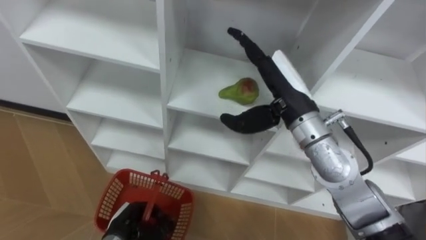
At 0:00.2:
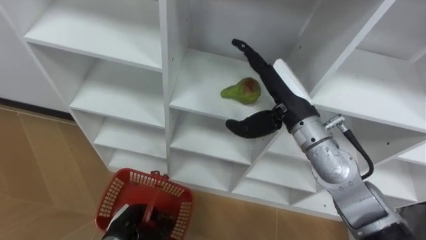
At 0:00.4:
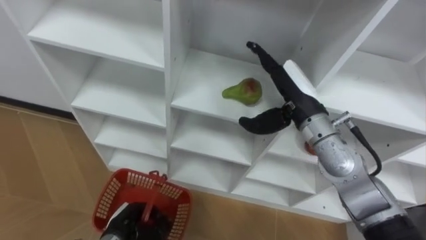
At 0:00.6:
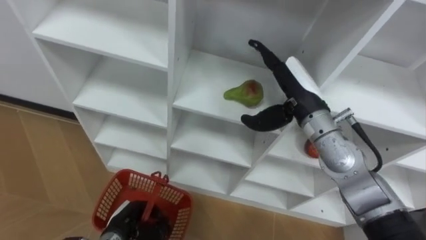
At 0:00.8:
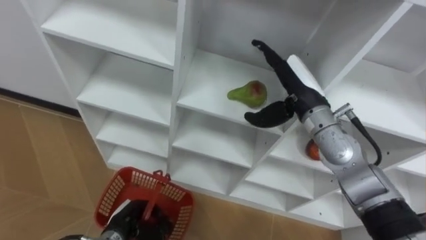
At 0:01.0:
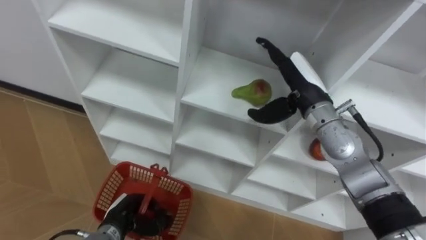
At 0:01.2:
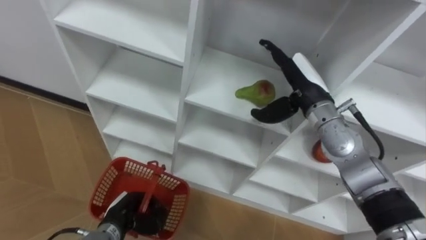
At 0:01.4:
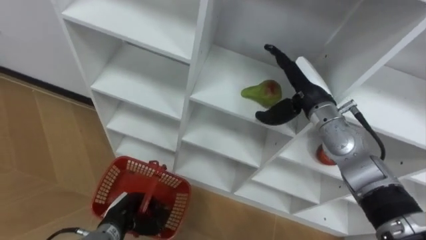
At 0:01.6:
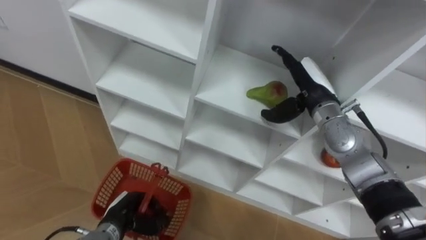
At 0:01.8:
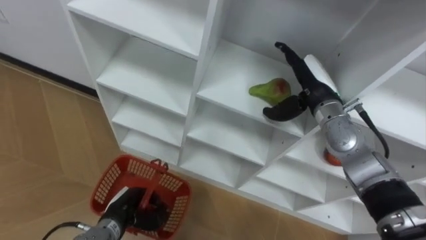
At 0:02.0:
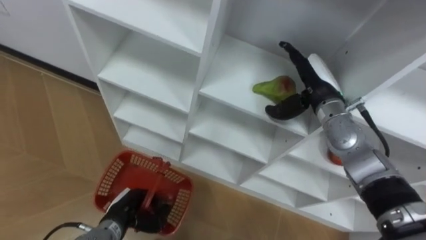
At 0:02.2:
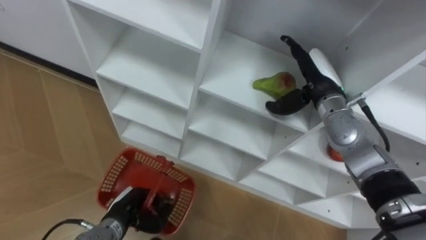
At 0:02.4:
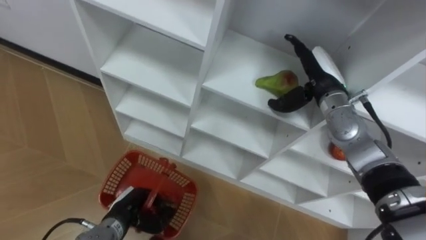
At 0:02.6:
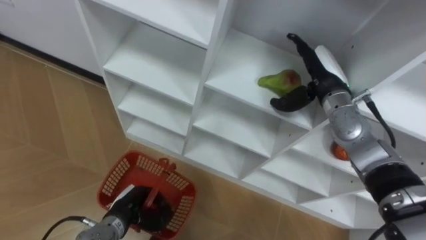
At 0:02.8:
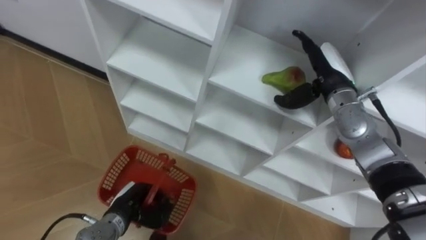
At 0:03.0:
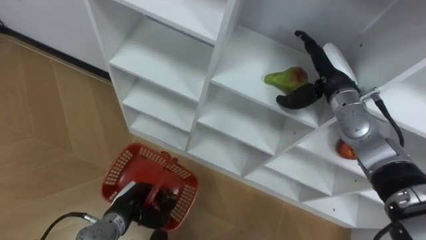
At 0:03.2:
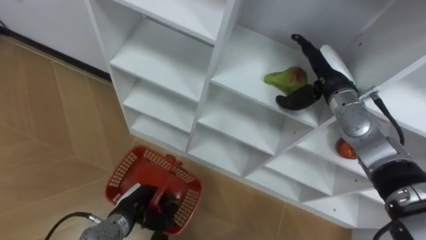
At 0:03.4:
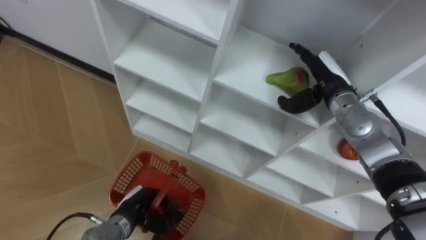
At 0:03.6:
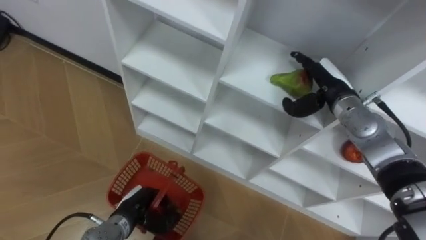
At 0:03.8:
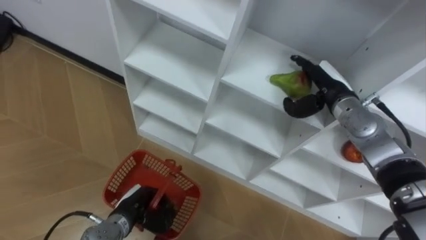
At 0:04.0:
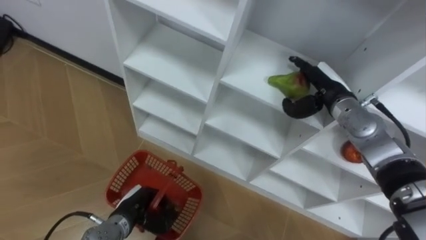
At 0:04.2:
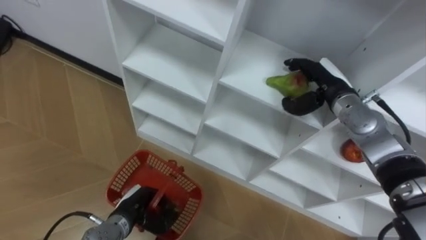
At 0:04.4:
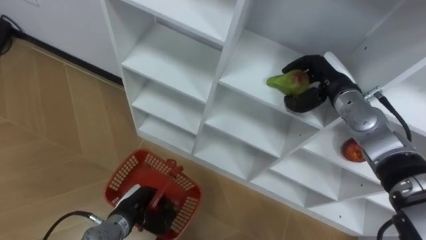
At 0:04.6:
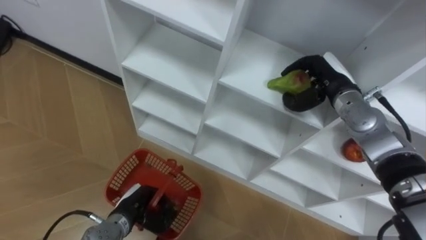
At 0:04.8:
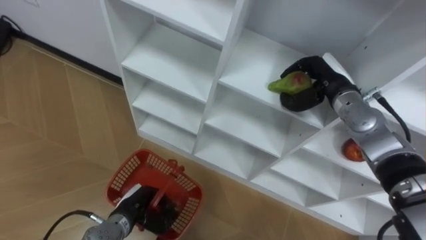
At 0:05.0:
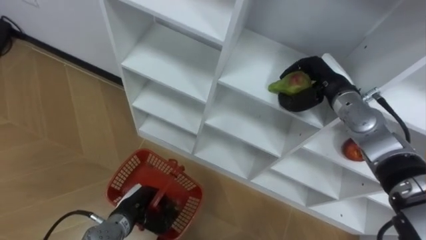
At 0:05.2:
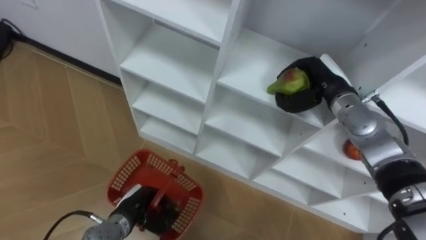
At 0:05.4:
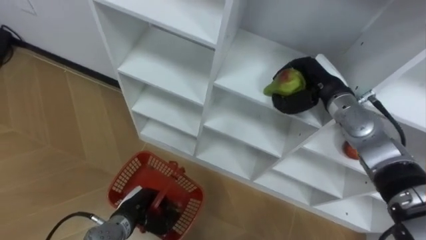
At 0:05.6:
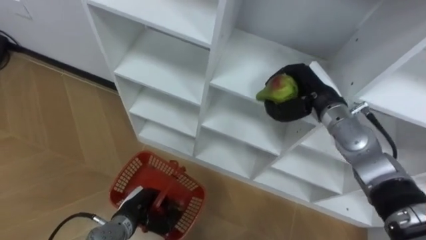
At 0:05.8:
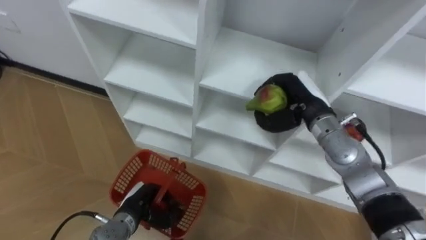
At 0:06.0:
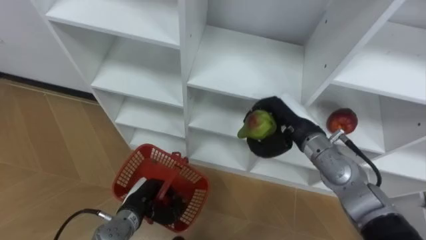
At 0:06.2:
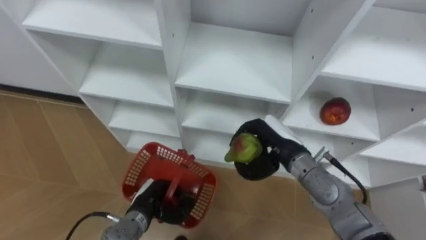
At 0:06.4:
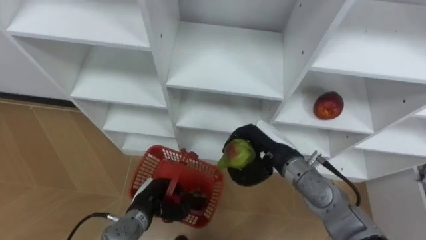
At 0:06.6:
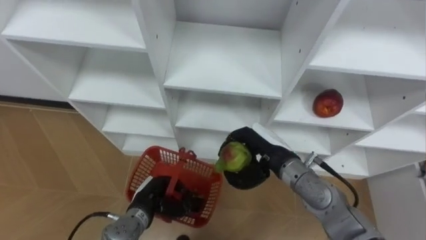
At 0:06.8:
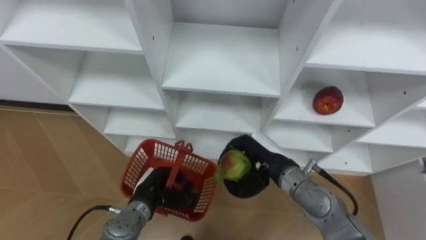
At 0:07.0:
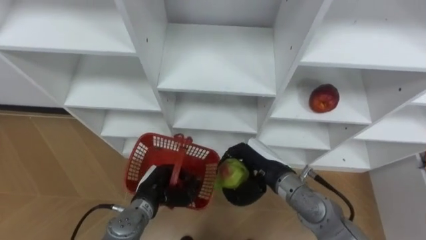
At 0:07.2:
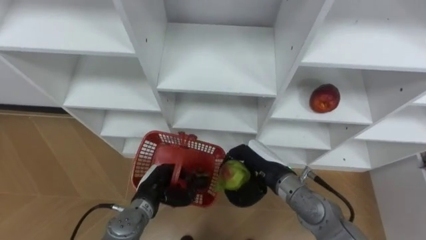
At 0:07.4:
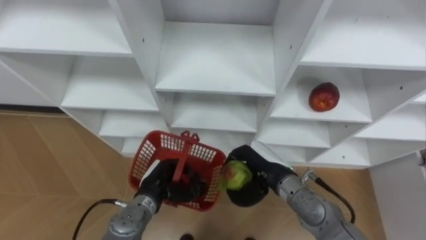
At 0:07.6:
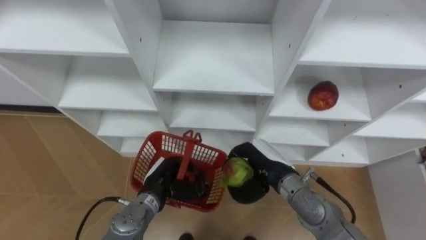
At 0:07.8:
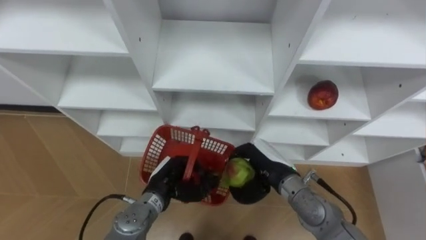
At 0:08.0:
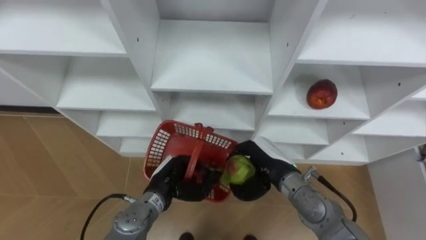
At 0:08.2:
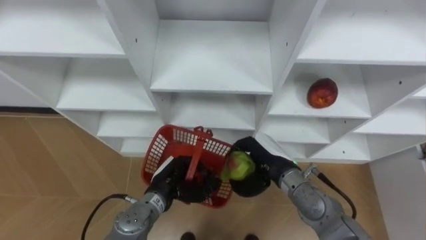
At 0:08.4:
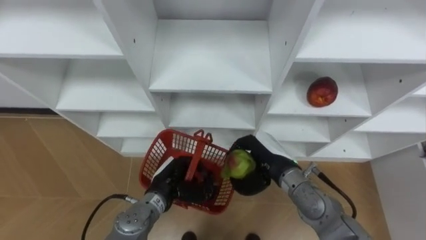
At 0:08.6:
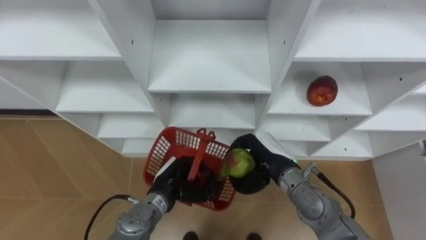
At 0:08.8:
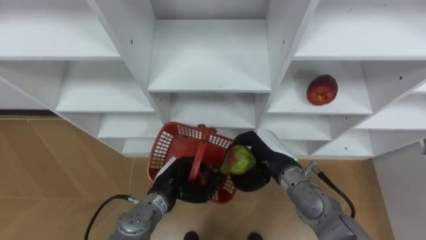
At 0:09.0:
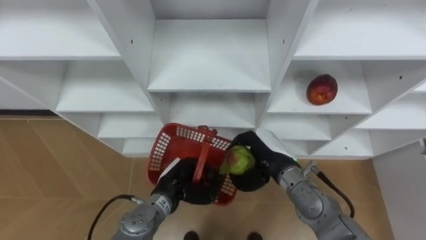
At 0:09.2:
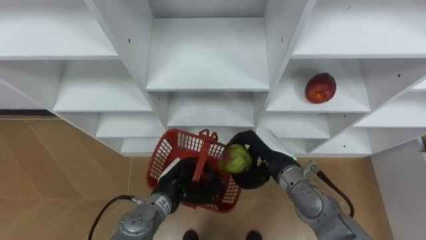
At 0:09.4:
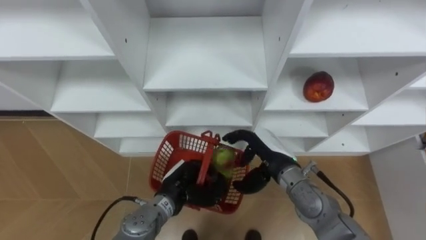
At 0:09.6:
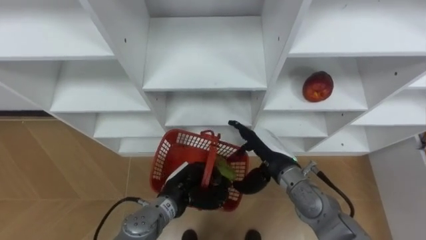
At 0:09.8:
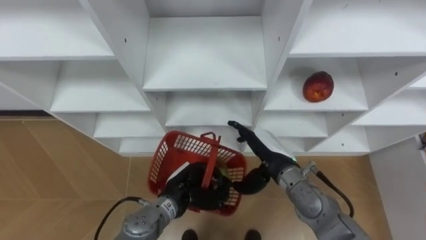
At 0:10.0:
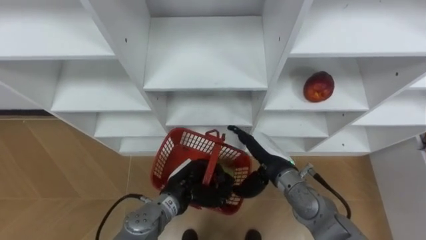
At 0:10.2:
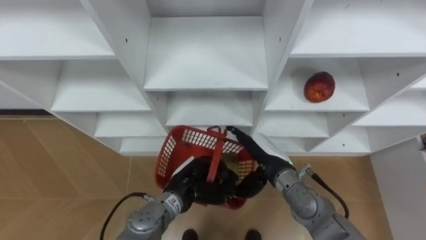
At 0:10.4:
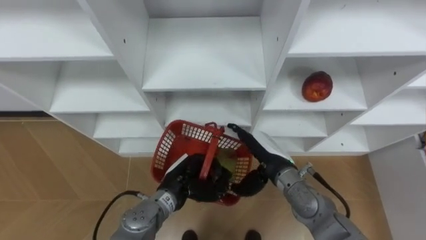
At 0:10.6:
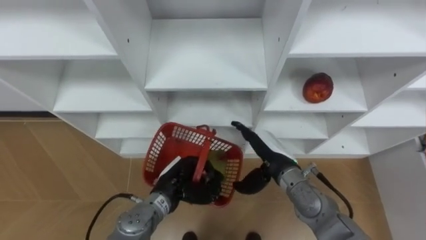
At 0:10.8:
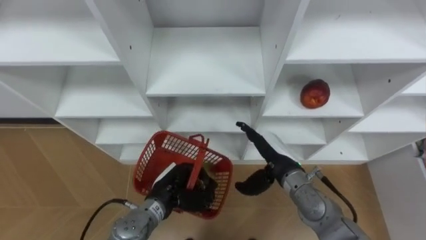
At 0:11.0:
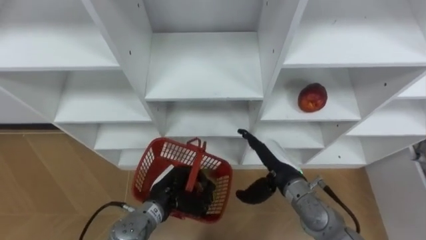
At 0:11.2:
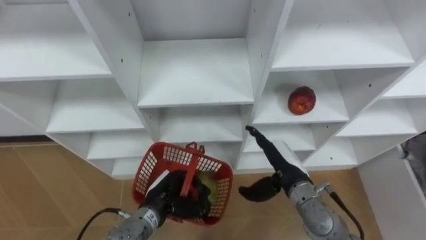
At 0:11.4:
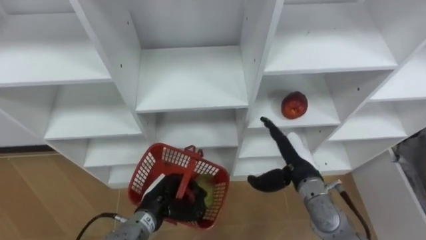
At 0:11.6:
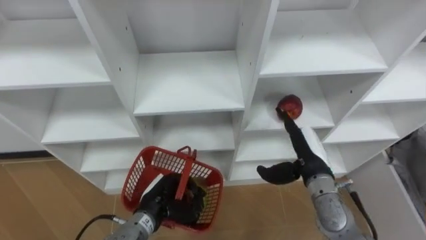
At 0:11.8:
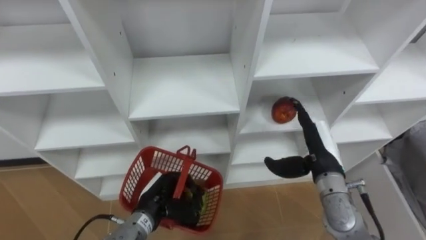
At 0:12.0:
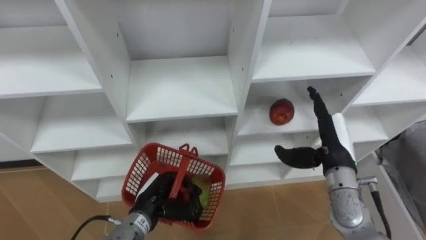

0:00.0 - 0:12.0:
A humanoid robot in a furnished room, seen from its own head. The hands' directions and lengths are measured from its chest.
Task of the whole recording: Hold the basket and collect the fruits from 3 different cells of the closet into it.
0:00.0 - 0:01.6: The right hand moves to the right, downward and forward, about 10 cm.
0:03.0 - 0:04.4: The right hand closes up.
0:04.4 - 0:06.0: The right hand heads to the left and backward, covering roughly 10 cm.
0:06.0 - 0:07.6: The right hand heads backward and downward, covering about 10 cm; the left hand ends up roughly 5 cm from where it was.
0:09.0 - 0:10.4: The right hand opens.
0:10.4 - 0:12.0: The left hand goes roughly 5 cm to the left, while the right hand shifts roughly 10 cm to the right.

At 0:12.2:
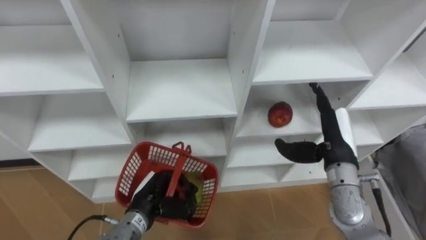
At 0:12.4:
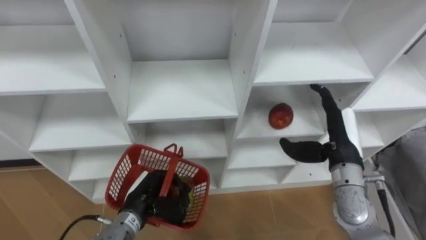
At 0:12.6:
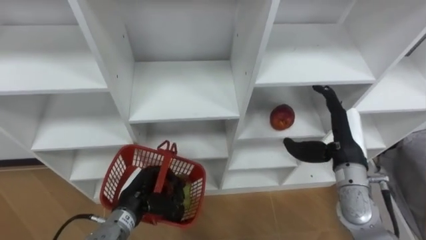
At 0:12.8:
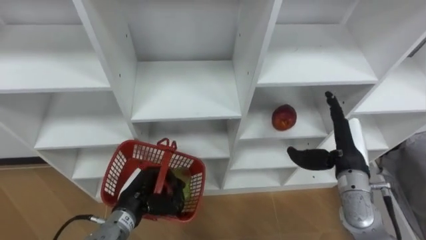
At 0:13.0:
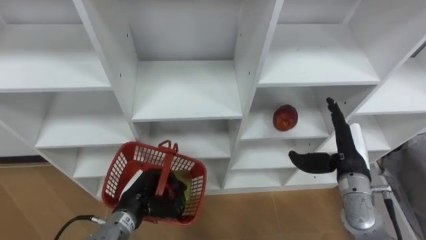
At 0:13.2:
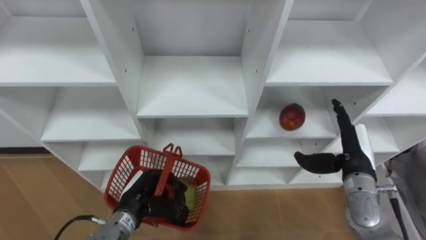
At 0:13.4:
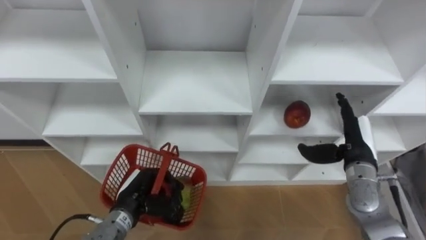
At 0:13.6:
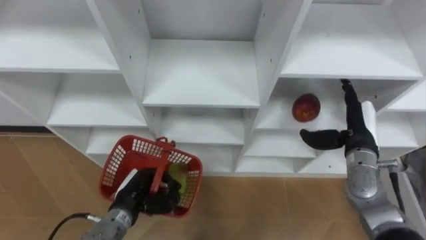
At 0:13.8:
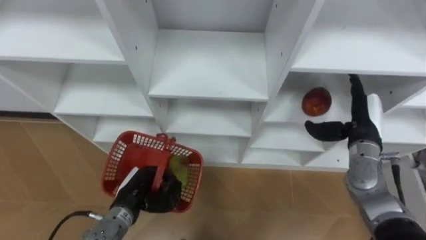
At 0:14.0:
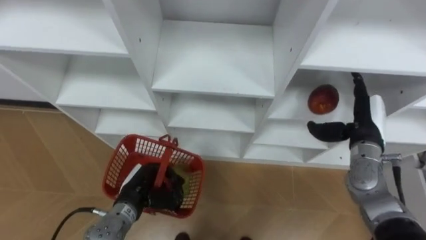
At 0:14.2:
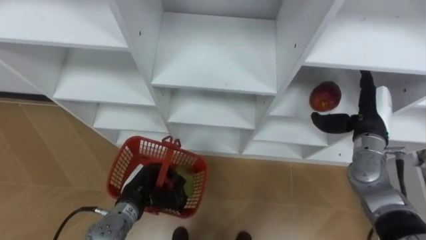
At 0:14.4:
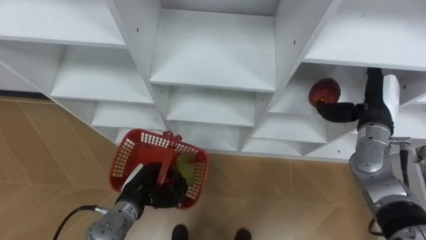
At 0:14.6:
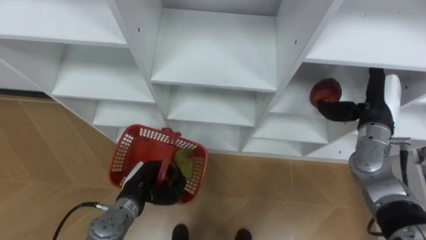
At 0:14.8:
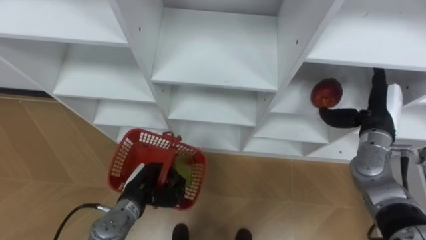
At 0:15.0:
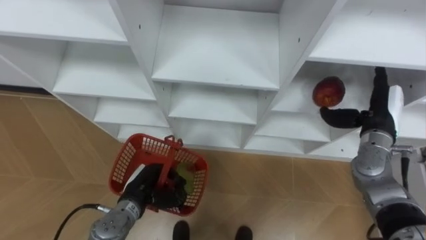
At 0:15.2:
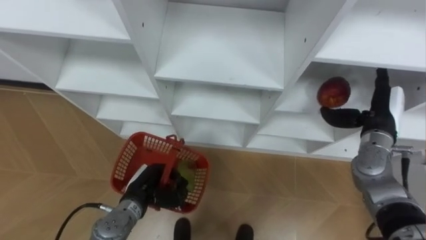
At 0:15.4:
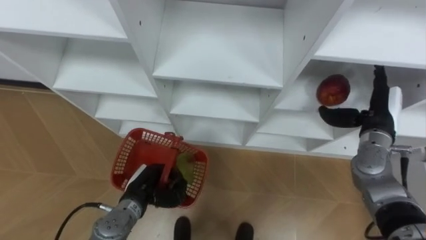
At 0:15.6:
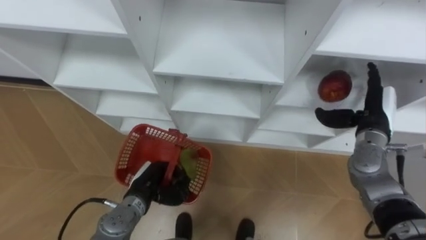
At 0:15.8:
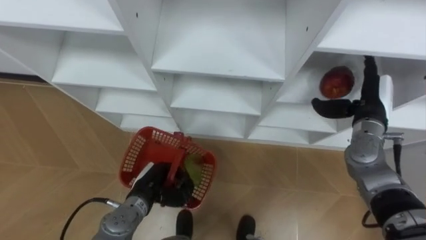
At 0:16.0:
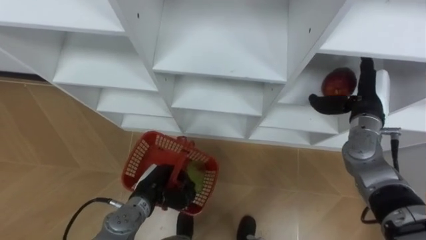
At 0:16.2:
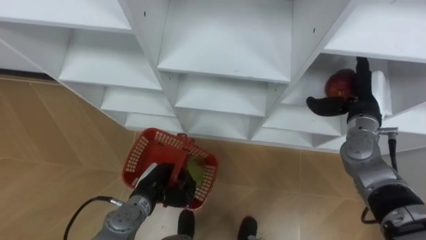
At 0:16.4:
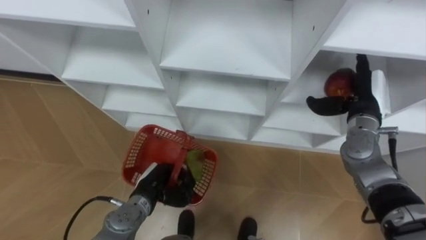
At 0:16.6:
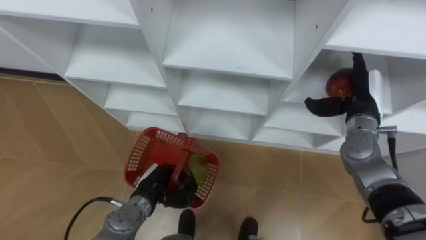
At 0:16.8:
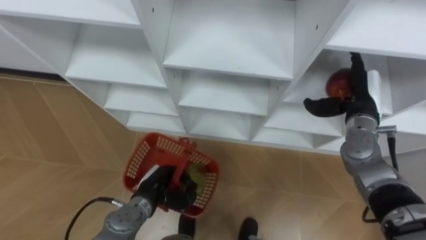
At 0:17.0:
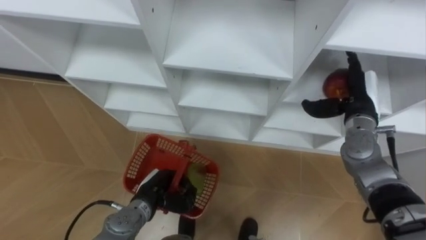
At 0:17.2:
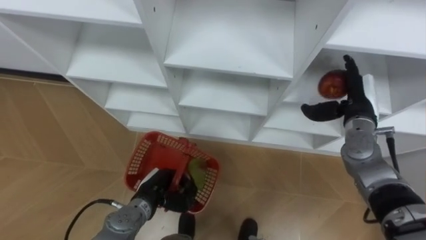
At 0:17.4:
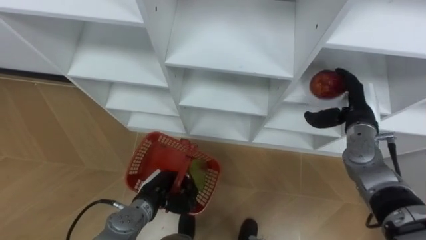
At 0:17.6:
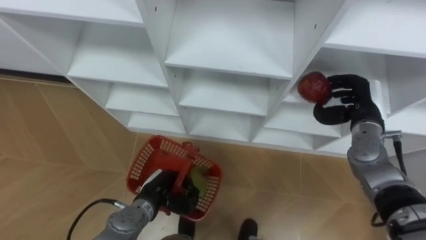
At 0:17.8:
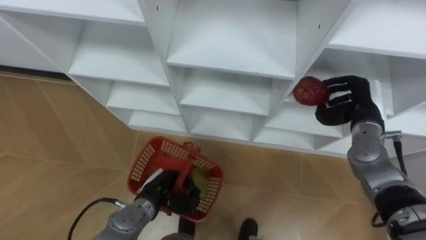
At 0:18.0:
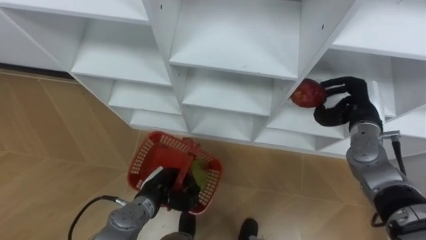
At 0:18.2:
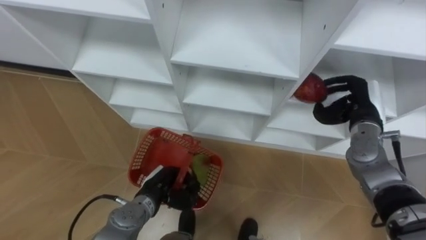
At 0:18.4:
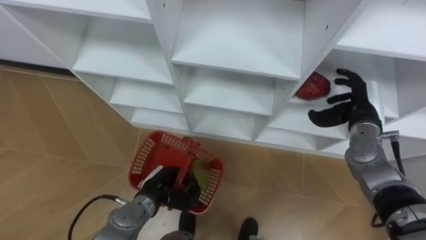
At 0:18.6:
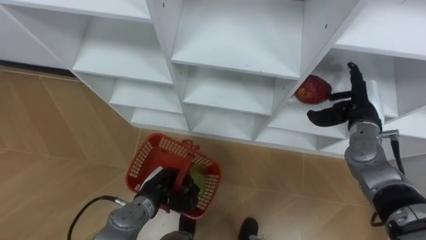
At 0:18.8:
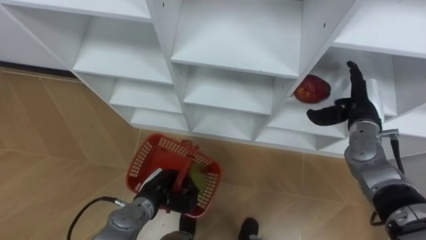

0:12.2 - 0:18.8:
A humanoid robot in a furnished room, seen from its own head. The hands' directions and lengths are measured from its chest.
Task of the whole recording: Hold the basket and collect the fruits from 3 different cells of the closet into it.
0:12.2 - 0:13.8: The right hand shifts roughly 5 cm to the right.
0:17.2 - 0:18.8: The right hand closes, then opens again.
